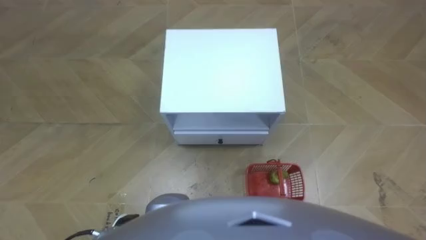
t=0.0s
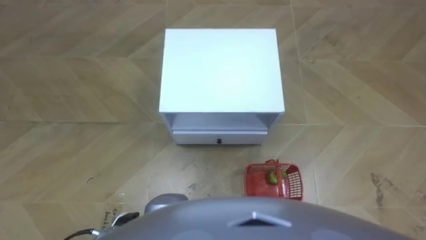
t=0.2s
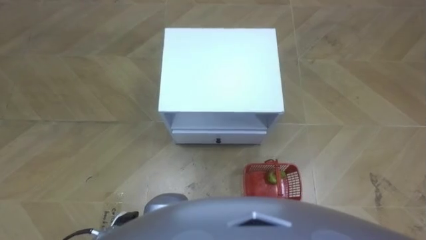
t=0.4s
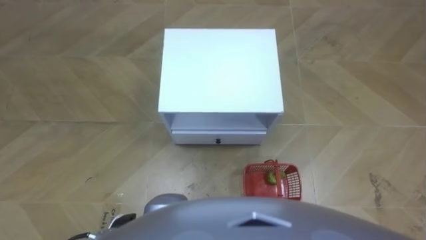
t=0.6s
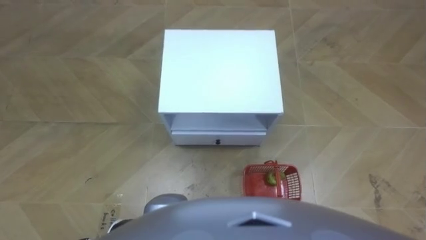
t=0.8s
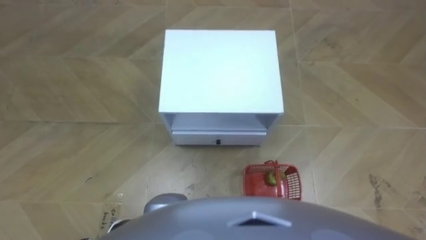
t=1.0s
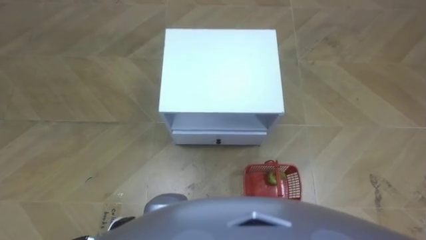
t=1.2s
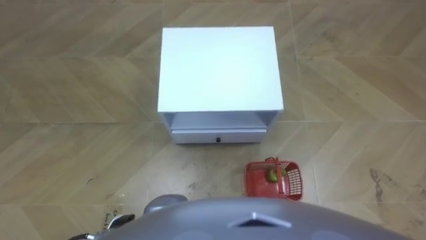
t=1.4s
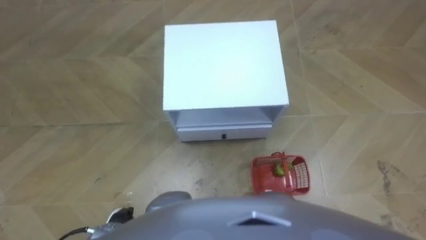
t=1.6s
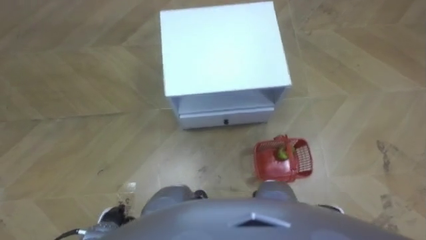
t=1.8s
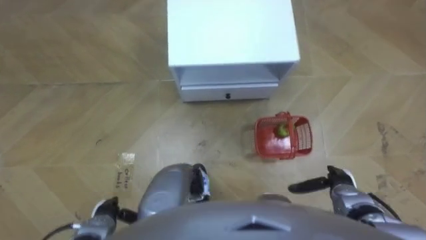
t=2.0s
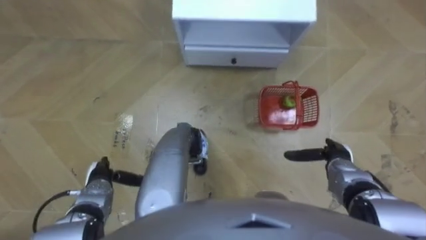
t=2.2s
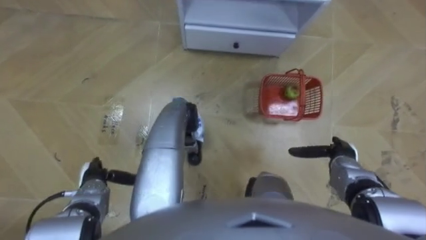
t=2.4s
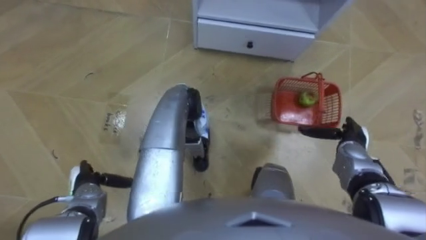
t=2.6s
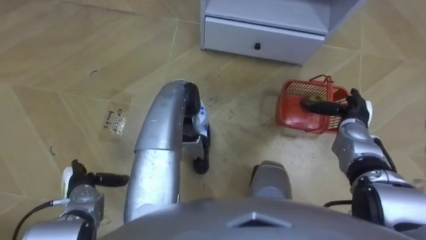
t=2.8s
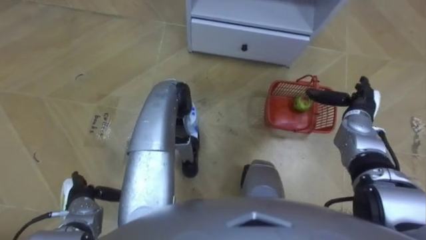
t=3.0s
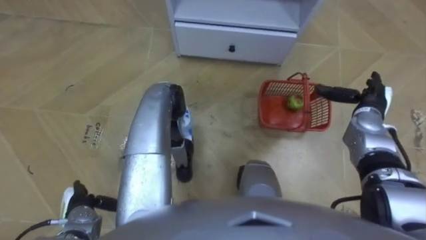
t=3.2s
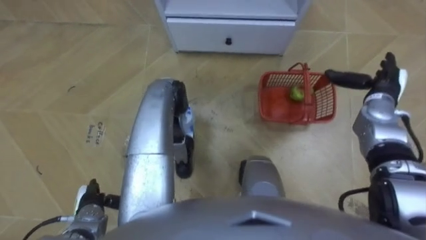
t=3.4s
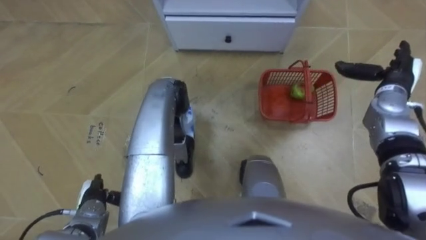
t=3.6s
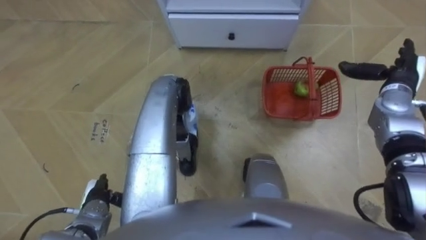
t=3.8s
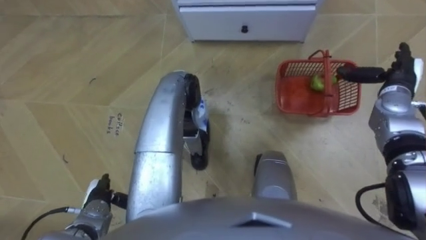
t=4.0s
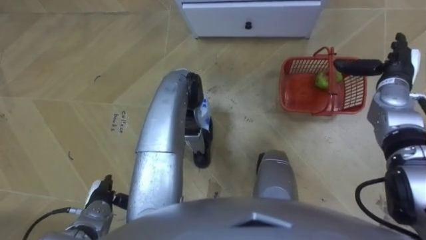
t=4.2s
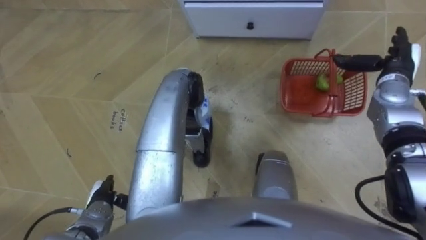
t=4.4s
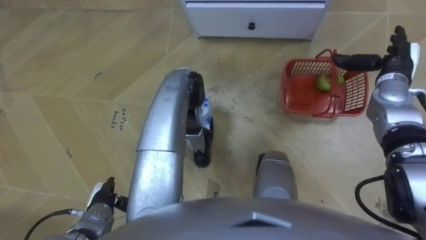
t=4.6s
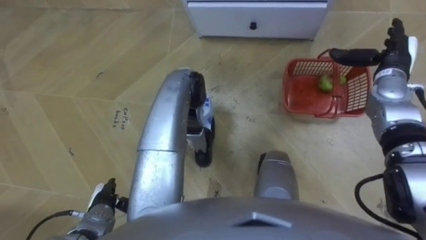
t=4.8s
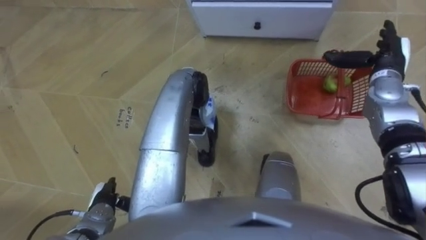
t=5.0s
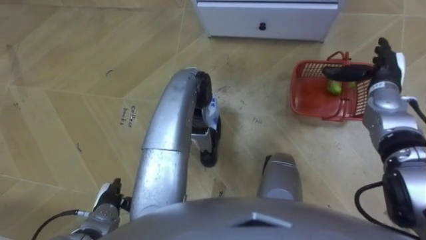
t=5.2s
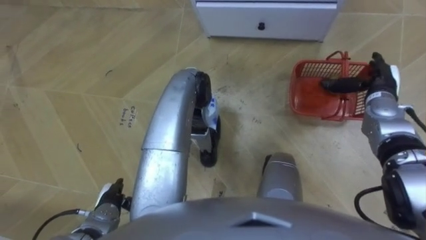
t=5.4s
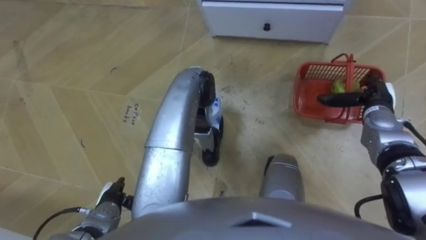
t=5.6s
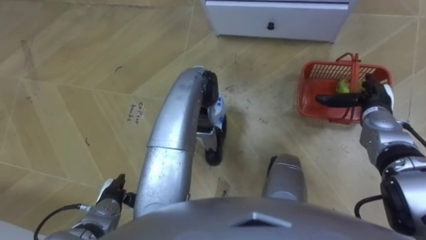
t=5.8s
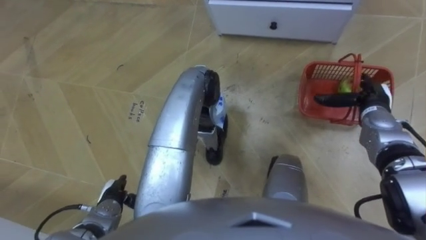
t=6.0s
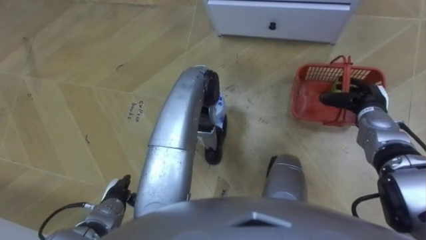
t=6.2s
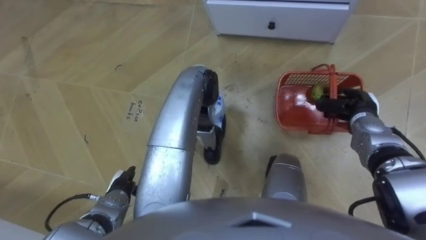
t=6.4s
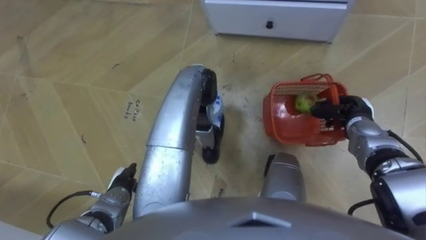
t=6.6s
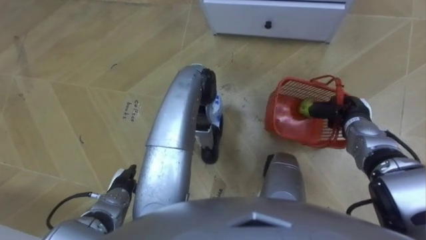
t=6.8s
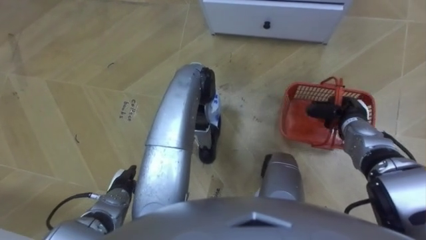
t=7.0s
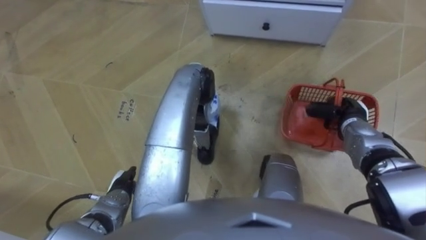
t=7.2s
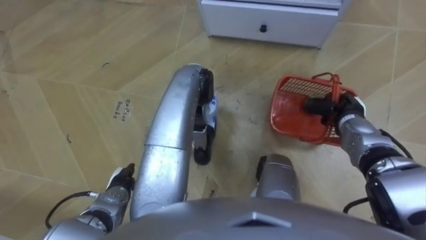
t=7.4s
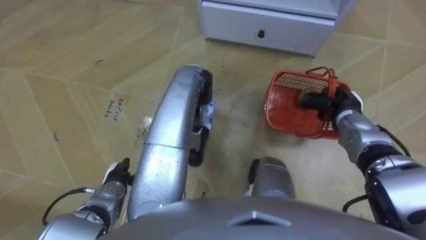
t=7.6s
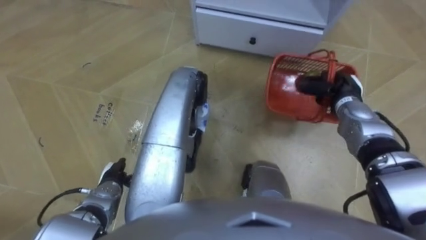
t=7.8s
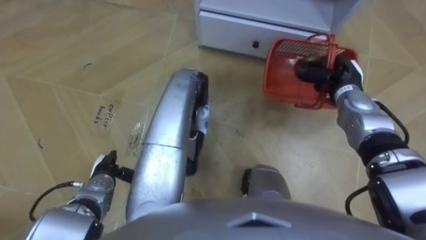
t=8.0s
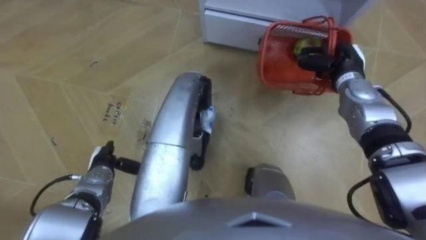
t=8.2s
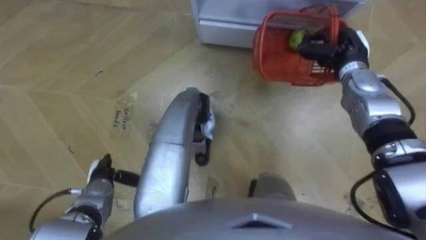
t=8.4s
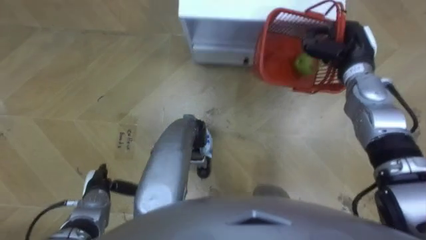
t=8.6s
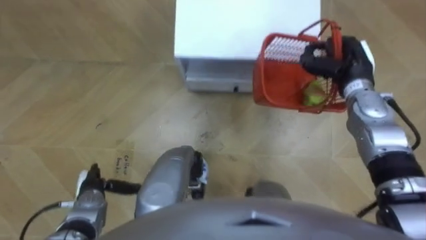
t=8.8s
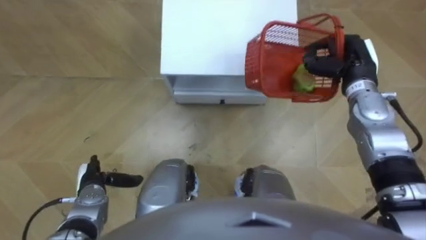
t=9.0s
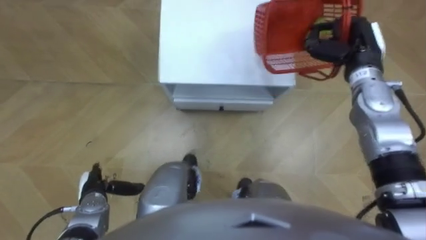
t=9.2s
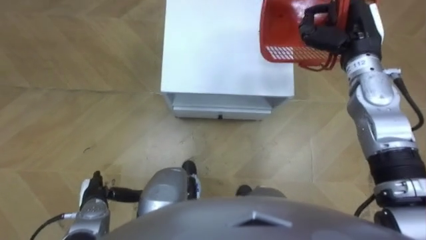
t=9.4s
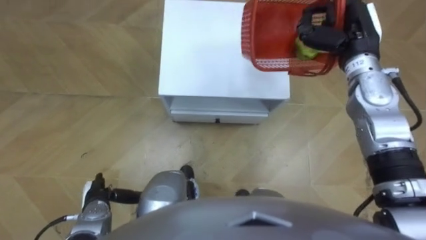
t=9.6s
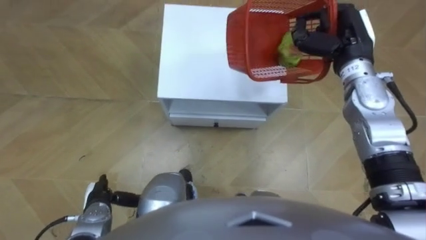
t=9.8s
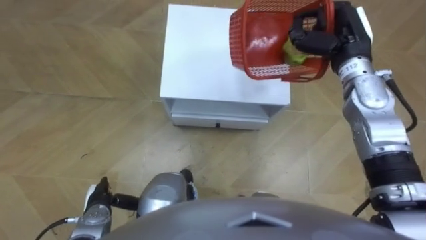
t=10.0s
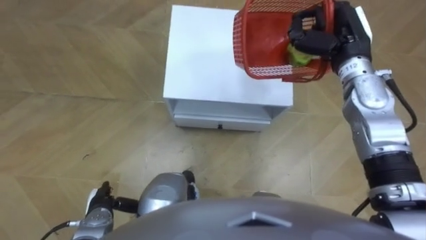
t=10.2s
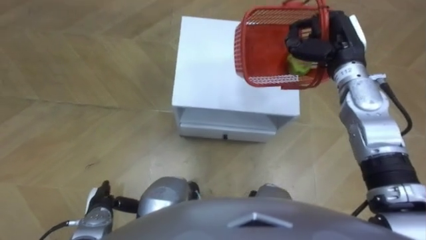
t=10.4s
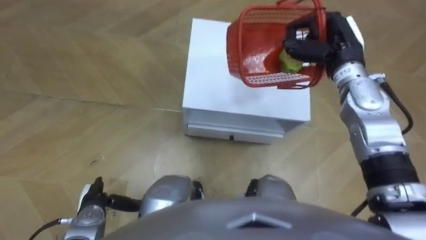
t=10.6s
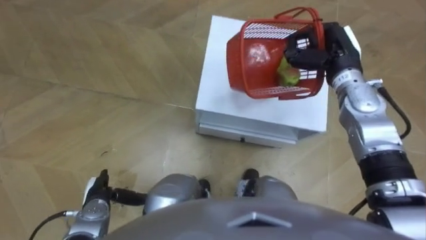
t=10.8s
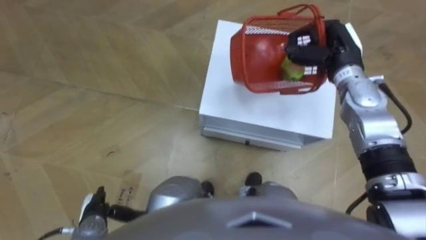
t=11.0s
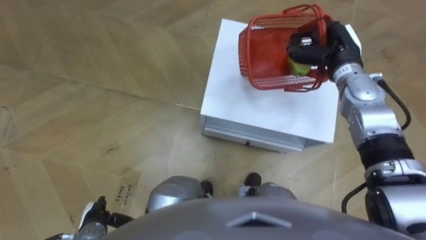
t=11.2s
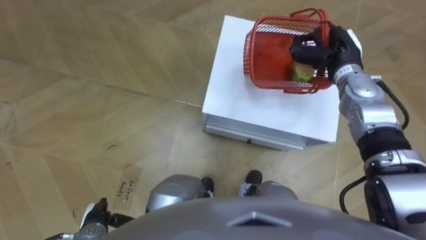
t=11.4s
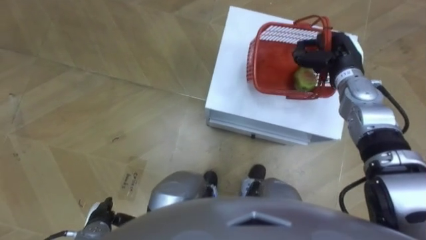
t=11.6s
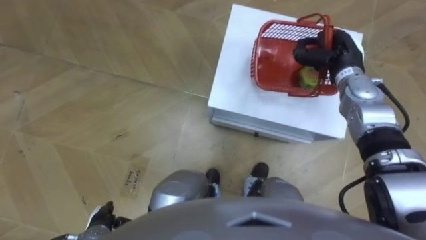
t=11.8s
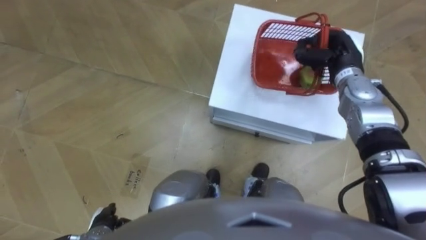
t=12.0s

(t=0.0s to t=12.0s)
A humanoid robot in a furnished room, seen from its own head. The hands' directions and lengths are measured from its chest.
Task of the whole recording: Pick up the fruit basket from the floor and place it on the cabinet.
t=1.6s - t=3.0s: The right hand travels forward and upward by roughly 30 cm. Meanwhile the left hand moves to the left and forward, approximately 10 cm.
t=3.0s - t=4.4s: The left hand shifts by about 5 cm, while the right hand goes roughly 10 cm upward and forward.
t=4.4s - t=6.0s: The right hand shifts about 10 cm downward and backward.
t=6.0s - t=7.6s: The right hand shifts approximately 5 cm to the left, and closes its fingers.
t=7.6s - t=9.0s: The left hand moves to the left, roughly 5 cm; the right hand moves upward, about 10 cm.
t=9.0s - t=10.4s: The right hand moves approximately 5 cm, while the left hand travels backward by approximately 5 cm.
t=10.4s - t=12.0s: The right hand heads downward, covering some 5 cm.

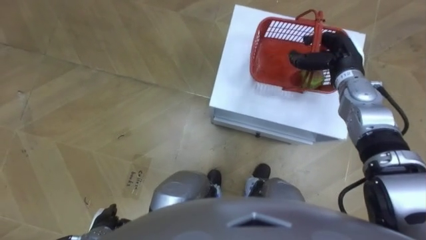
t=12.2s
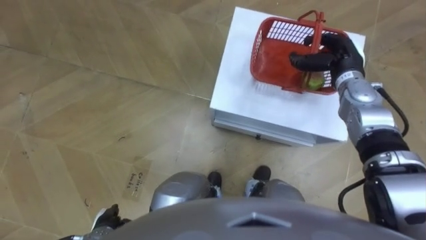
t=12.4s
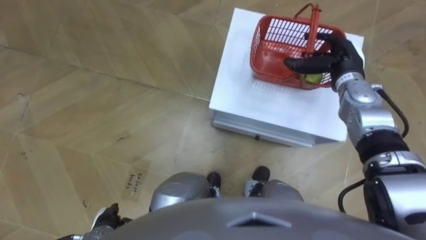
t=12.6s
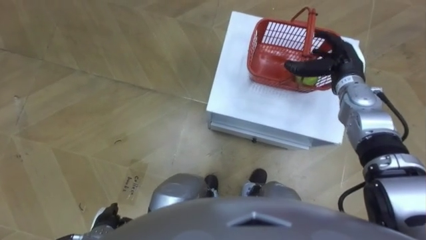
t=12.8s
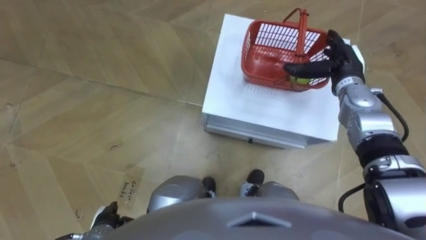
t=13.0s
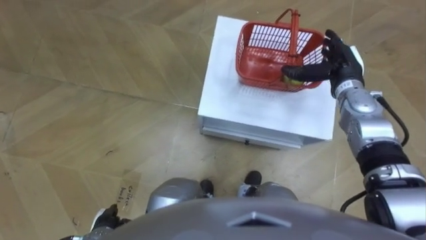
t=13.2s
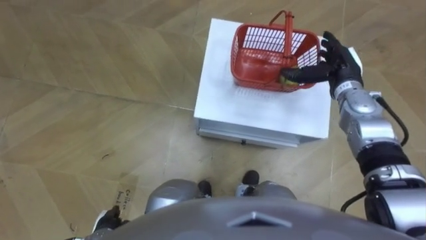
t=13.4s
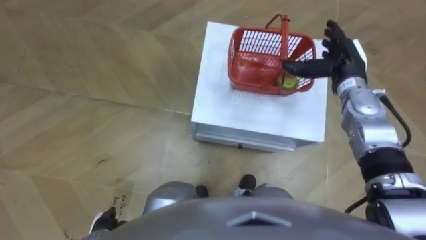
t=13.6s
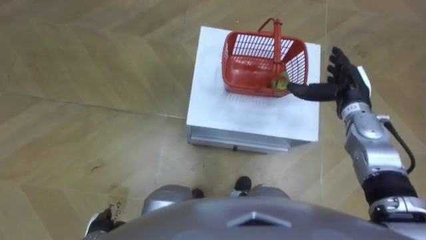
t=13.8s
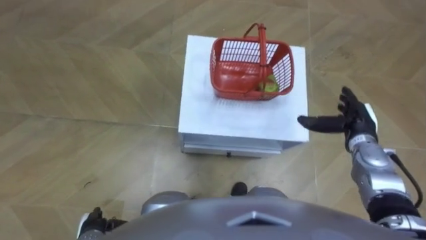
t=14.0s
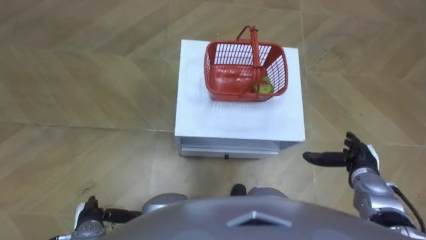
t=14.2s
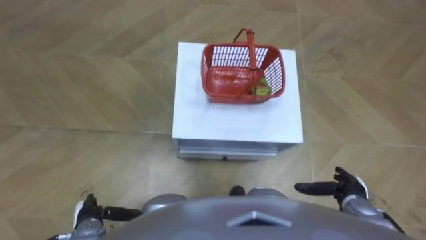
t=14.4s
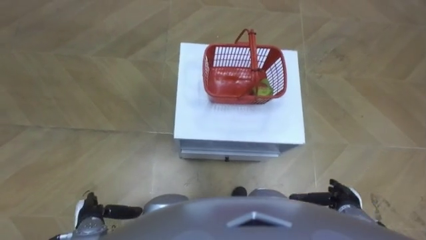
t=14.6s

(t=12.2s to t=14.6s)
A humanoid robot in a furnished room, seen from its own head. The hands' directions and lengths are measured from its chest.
Task of the whole recording: Pick up the fruit basket from the floor and place it on the cabinet.
t=12.2s - t=13.4s: The right hand opens.
t=13.4s - t=14.6s: The right hand goes about 30 cm backward and downward.

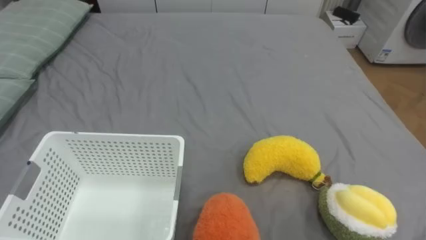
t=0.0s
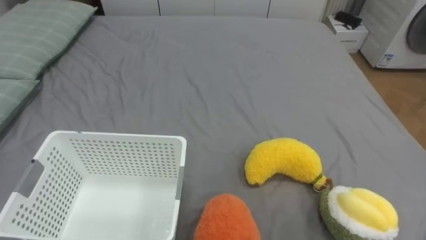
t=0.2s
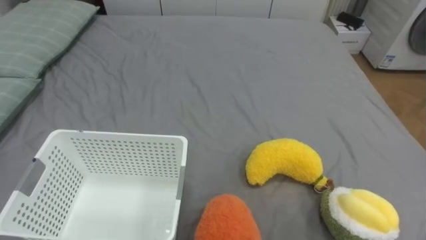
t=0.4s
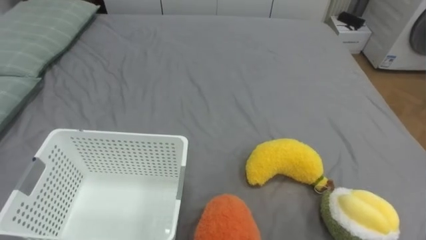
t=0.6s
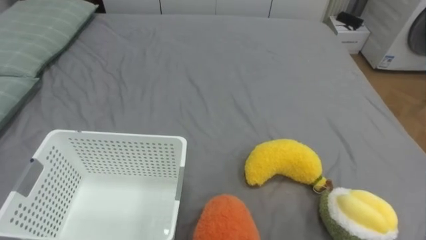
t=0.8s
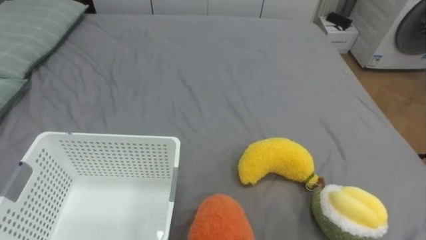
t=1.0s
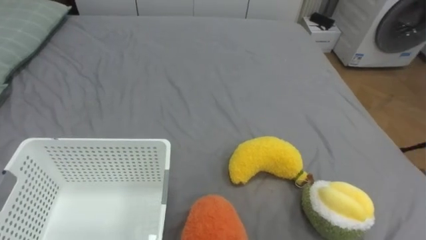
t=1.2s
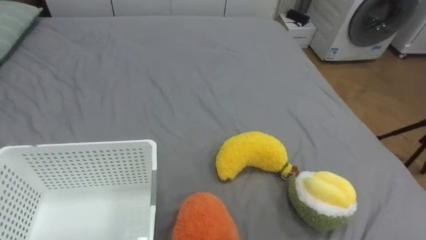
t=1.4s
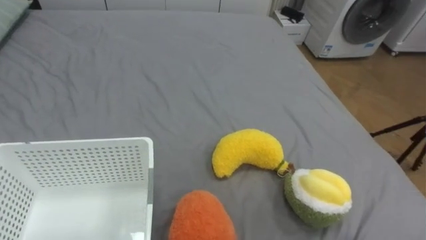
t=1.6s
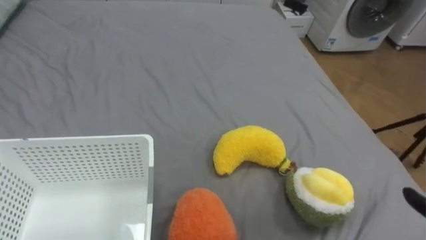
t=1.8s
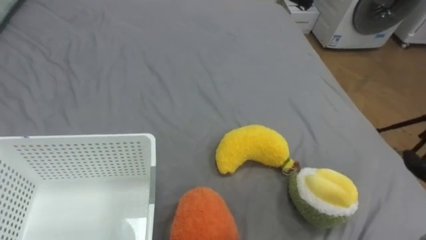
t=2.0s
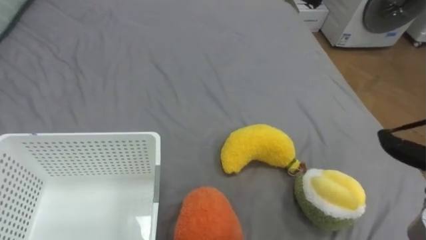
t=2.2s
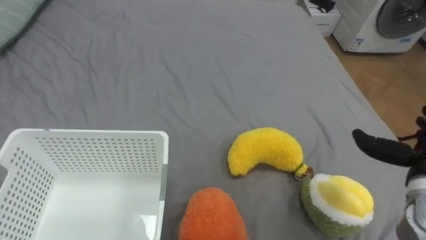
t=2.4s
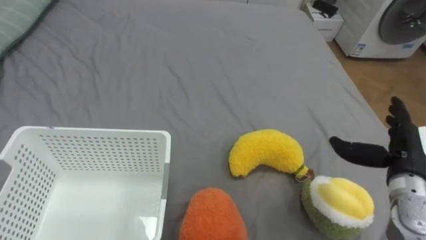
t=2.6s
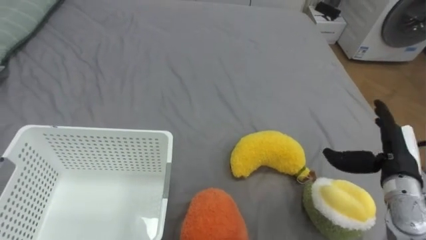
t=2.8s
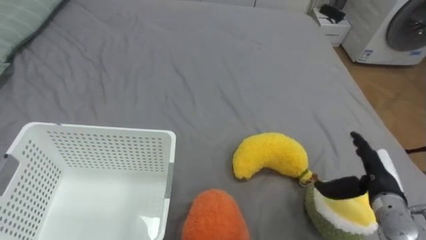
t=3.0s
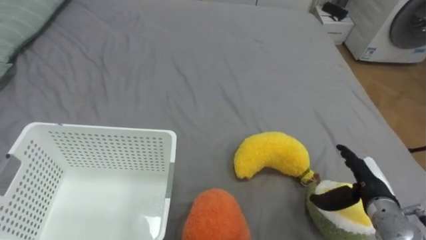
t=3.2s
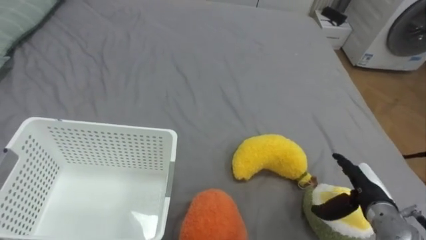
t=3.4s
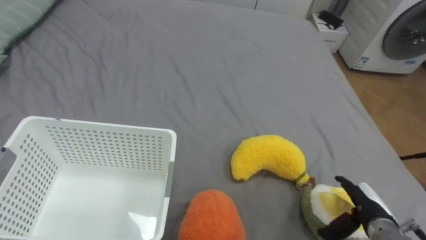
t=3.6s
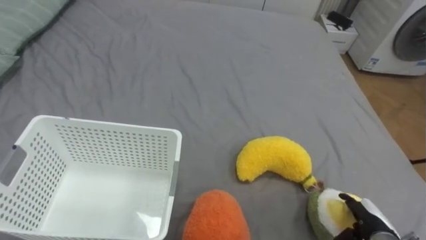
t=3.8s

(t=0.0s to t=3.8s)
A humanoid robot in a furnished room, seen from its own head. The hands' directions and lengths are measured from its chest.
Task of the whole recording: Put the toys on the bed into the basket on the left.
t=2.6s - t=3.8s: The right hand heads downward and backward, covering some 15 cm.
